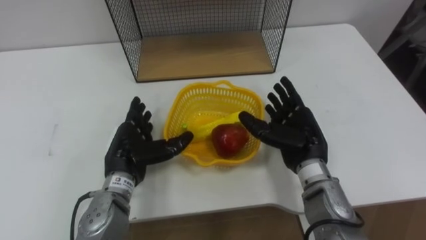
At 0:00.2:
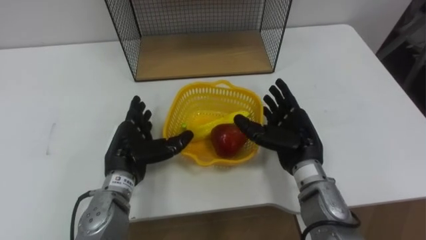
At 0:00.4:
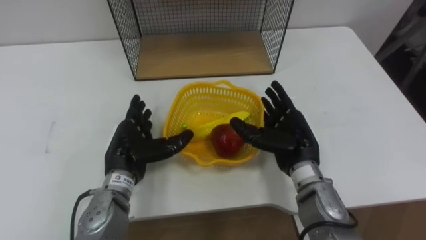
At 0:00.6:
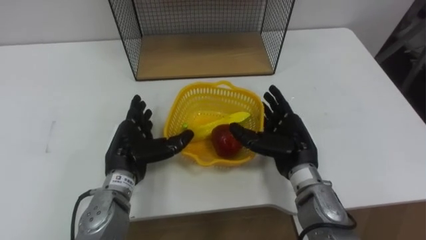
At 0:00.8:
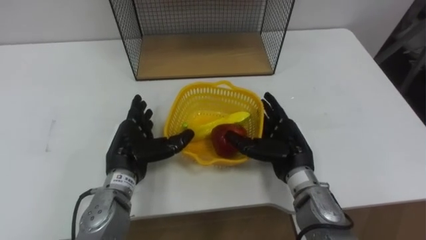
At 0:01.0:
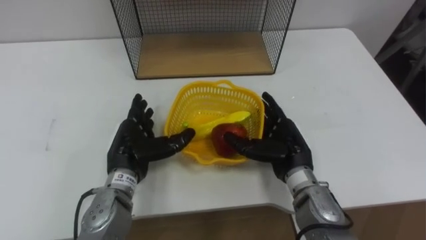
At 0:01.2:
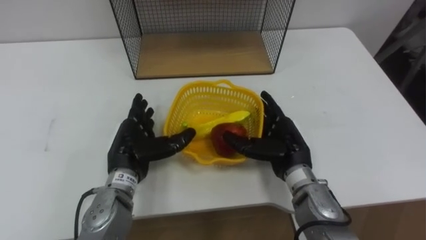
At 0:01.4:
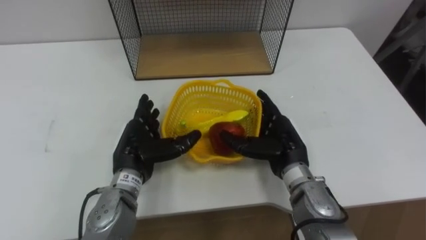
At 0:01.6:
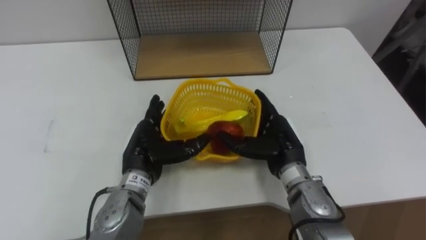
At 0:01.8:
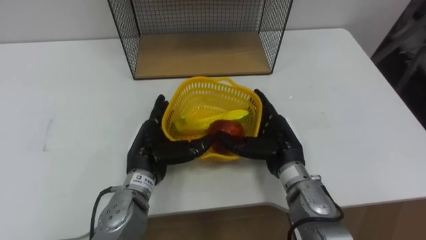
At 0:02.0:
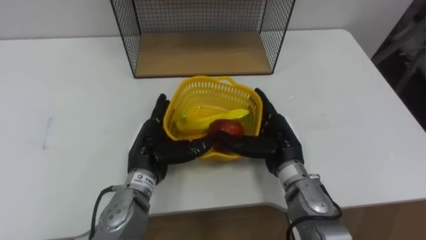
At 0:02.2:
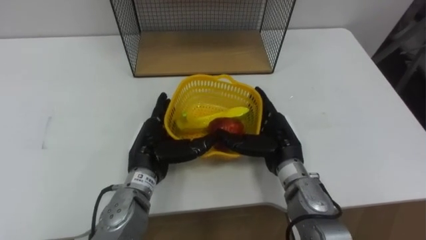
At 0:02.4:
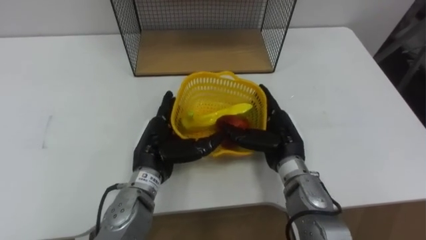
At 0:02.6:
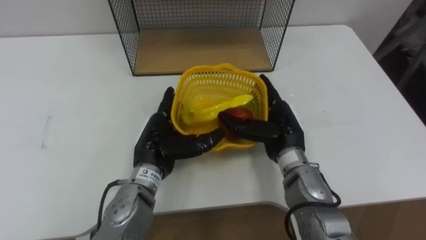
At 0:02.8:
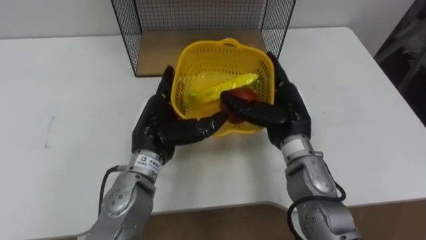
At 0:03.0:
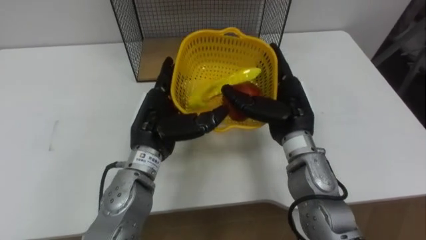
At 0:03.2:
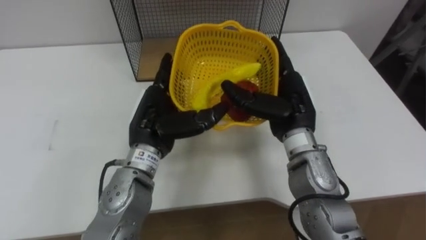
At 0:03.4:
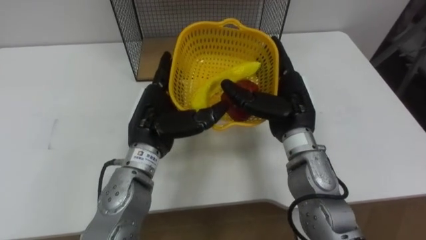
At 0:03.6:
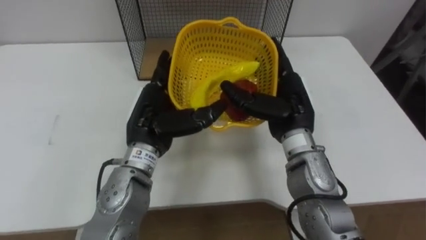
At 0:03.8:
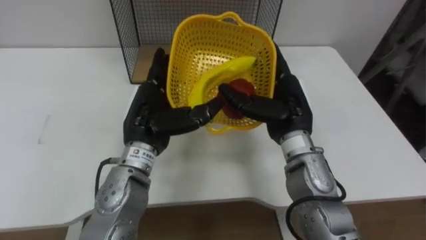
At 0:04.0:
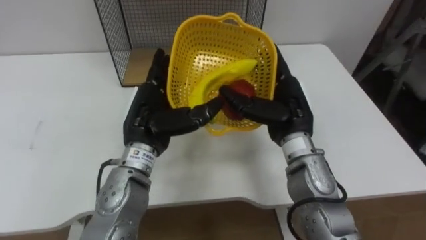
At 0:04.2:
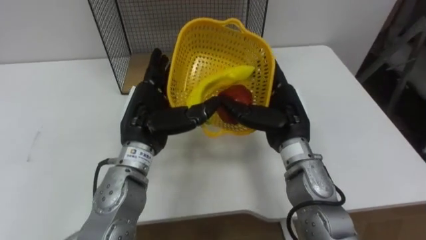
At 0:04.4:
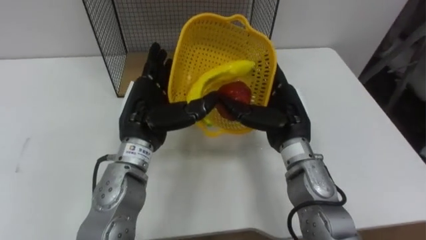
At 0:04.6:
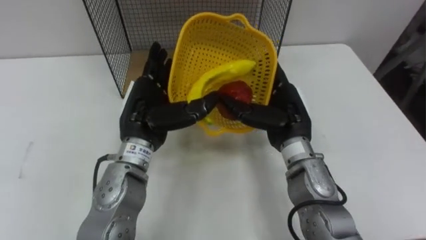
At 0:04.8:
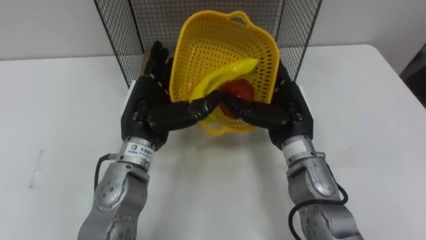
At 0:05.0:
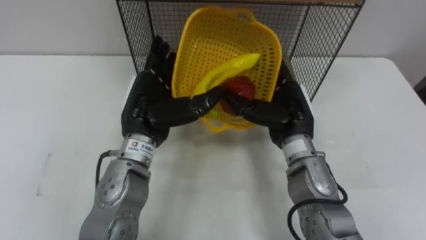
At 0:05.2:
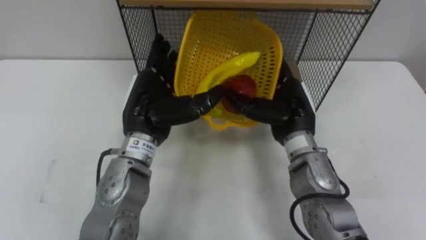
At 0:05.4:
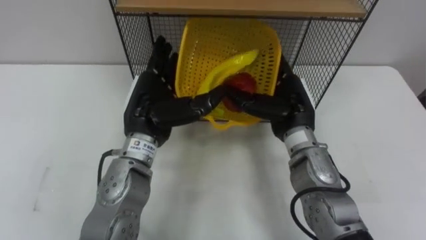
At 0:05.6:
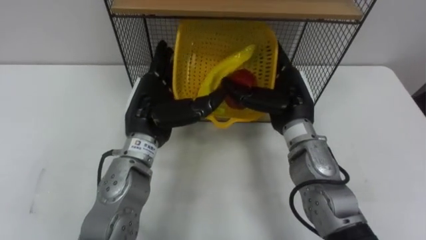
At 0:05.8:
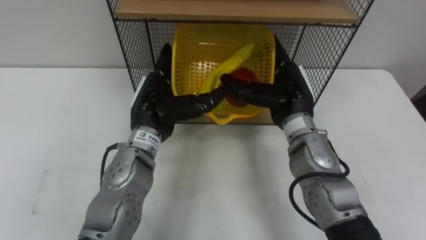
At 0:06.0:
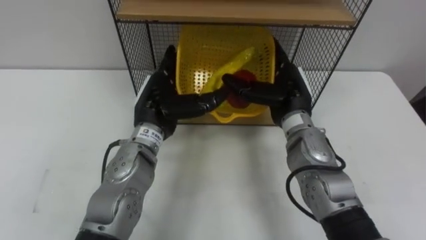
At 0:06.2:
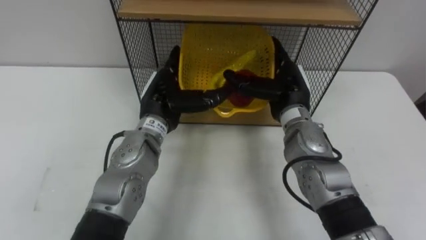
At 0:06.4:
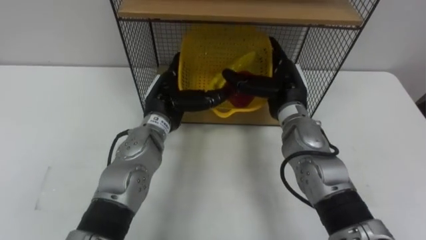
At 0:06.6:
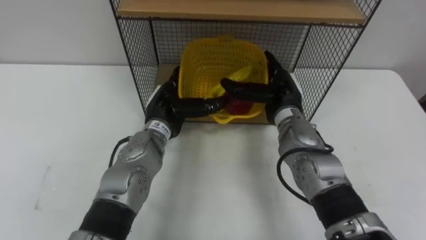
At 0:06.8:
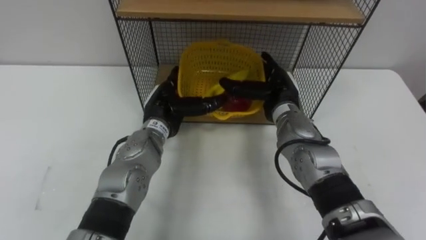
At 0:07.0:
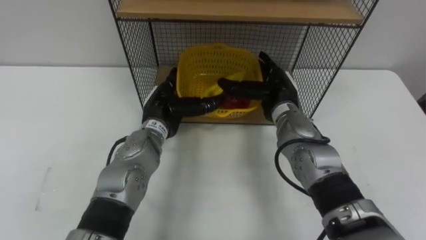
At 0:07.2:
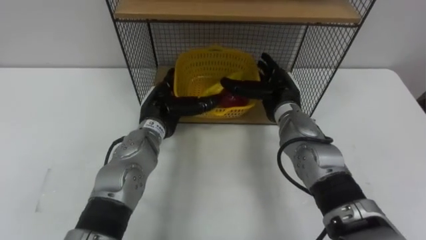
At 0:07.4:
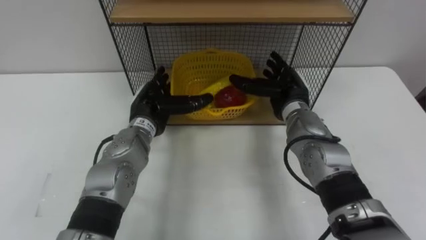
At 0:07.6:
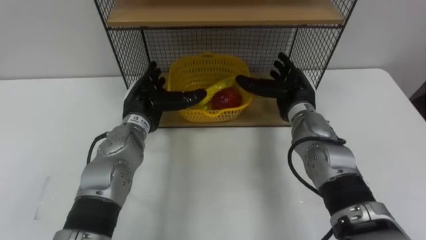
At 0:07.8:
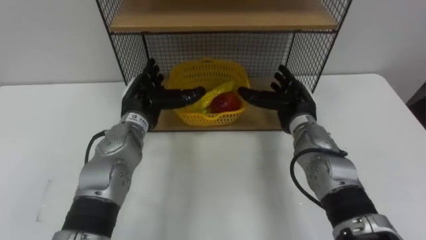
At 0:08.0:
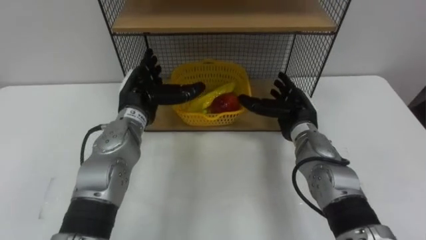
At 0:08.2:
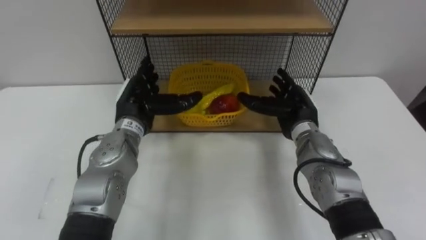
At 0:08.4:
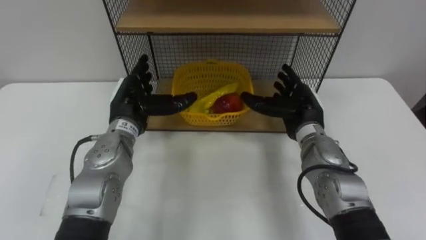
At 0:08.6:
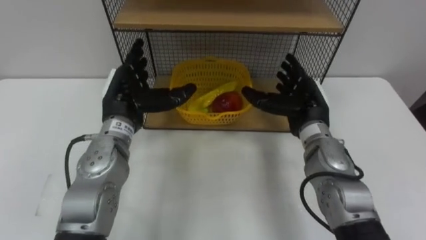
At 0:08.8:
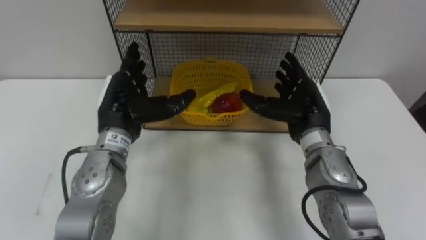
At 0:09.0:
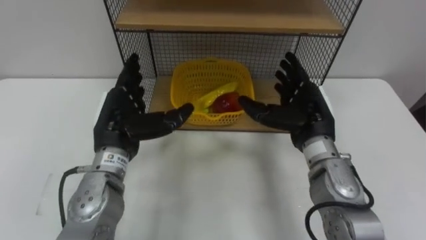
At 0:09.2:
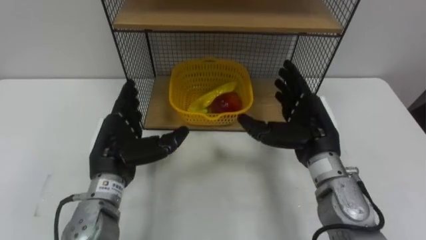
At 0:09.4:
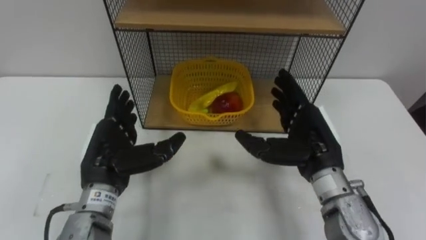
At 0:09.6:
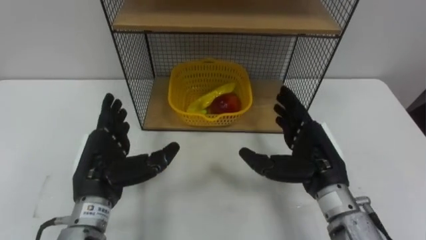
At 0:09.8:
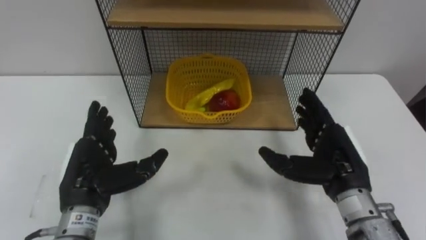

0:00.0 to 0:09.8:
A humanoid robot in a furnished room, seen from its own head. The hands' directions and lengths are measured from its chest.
Task of the whole recording: Put the fruit on the table into the basket, then place the basket on the shelf.
0:00.0 to 0:01.4: The hands make only small movements.
0:01.4 to 0:02.8: Both hands travel together upward, about 5 cm.
0:05.6 to 0:07.0: The left hand goes roughly 10 cm downward and forward; the right hand goes about 5 cm forward.
0:07.0 to 0:08.4: The right hand goes roughly 5 cm to the right, while the left hand is displaced to the left by some 5 cm.
0:08.4 to 0:09.8: Both hands move backward, some 15 cm.

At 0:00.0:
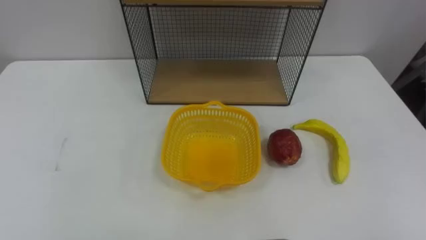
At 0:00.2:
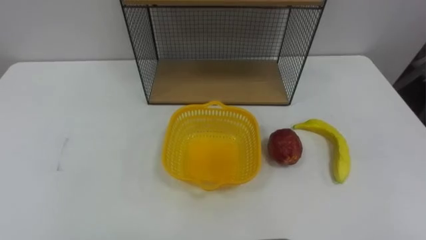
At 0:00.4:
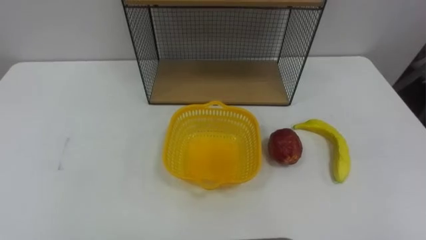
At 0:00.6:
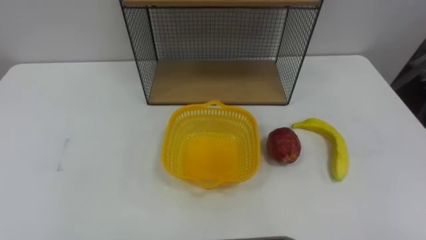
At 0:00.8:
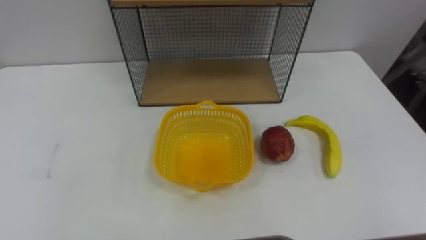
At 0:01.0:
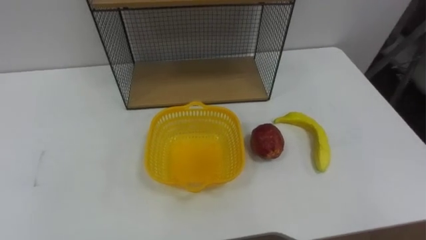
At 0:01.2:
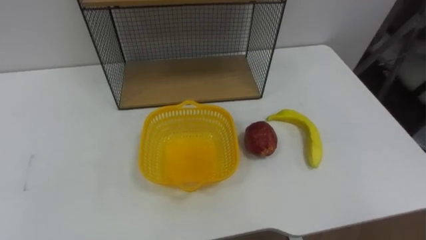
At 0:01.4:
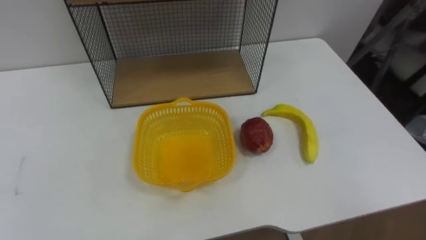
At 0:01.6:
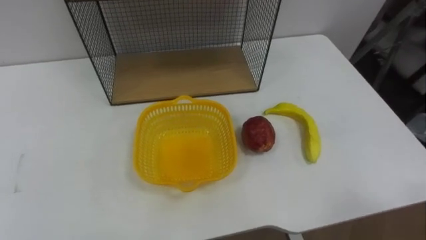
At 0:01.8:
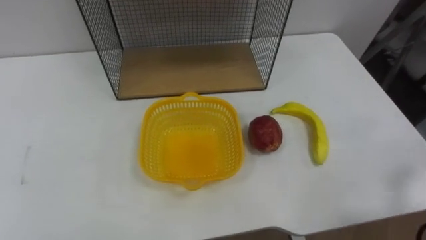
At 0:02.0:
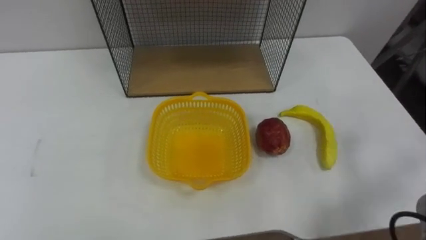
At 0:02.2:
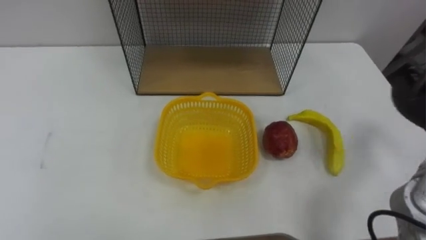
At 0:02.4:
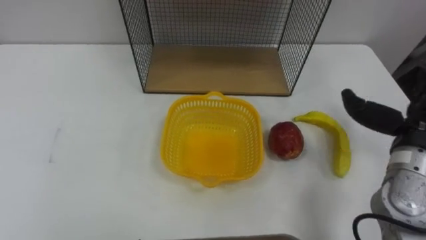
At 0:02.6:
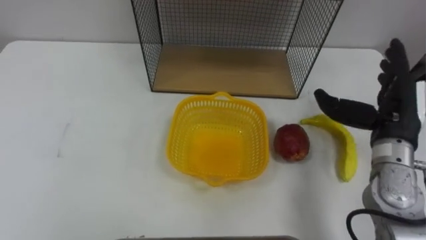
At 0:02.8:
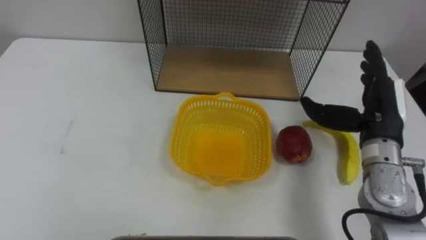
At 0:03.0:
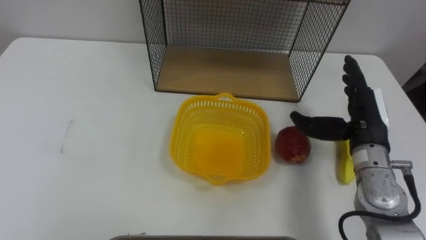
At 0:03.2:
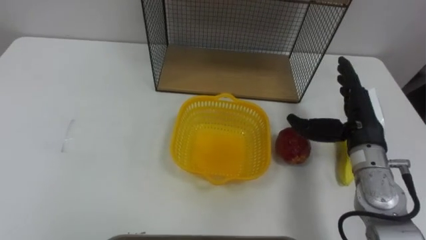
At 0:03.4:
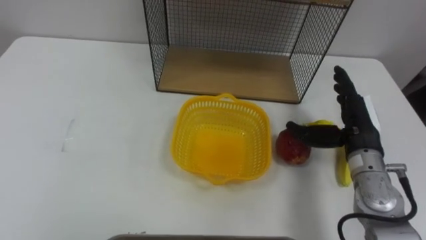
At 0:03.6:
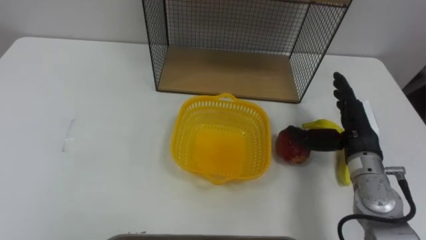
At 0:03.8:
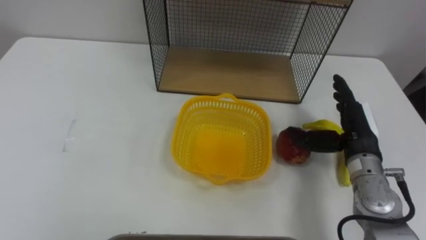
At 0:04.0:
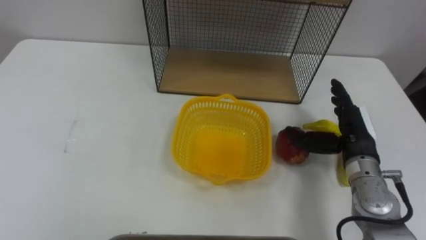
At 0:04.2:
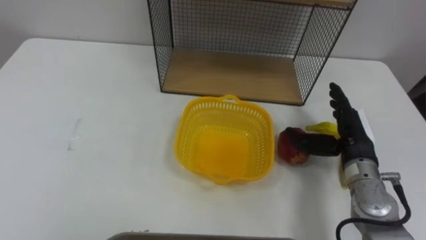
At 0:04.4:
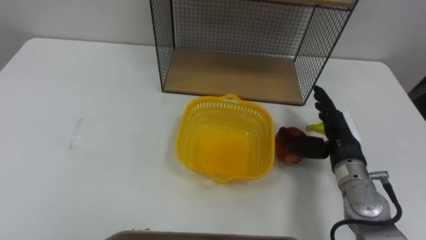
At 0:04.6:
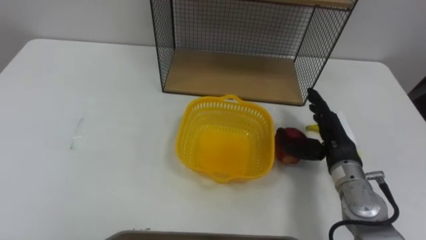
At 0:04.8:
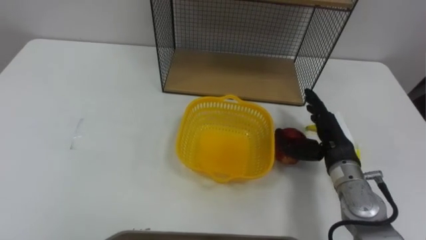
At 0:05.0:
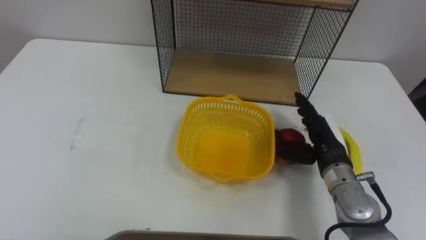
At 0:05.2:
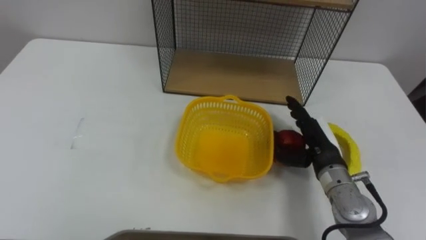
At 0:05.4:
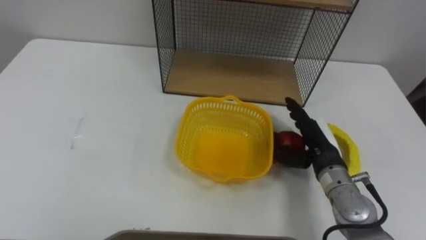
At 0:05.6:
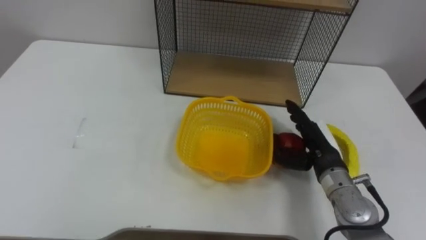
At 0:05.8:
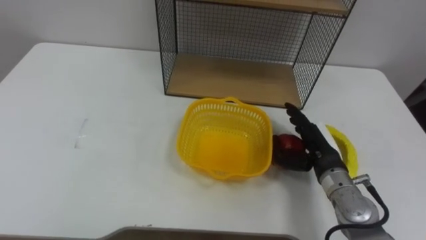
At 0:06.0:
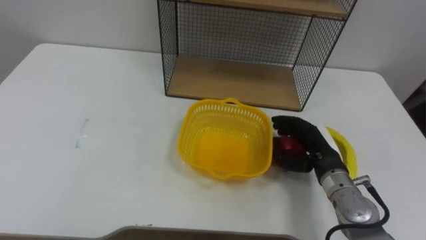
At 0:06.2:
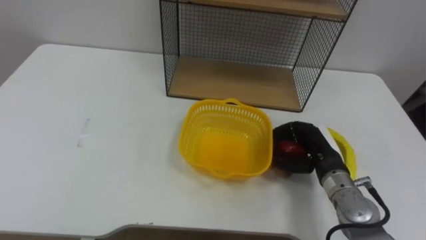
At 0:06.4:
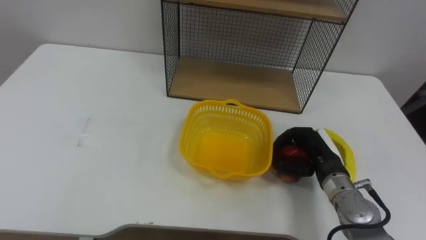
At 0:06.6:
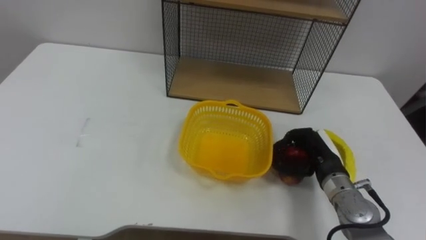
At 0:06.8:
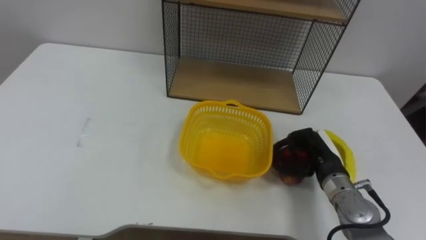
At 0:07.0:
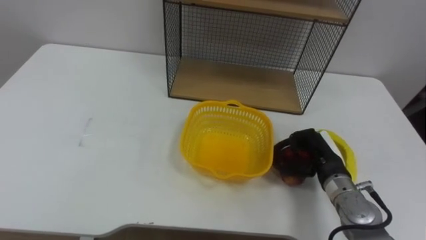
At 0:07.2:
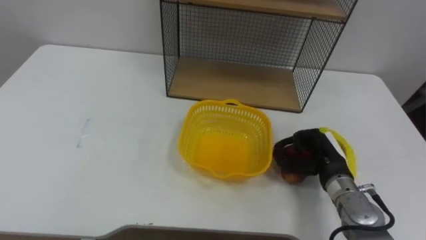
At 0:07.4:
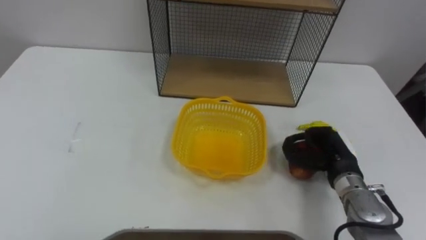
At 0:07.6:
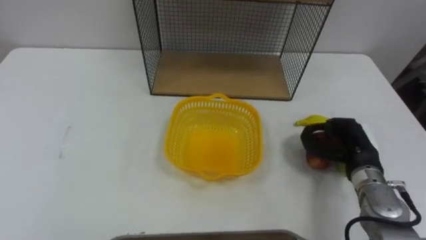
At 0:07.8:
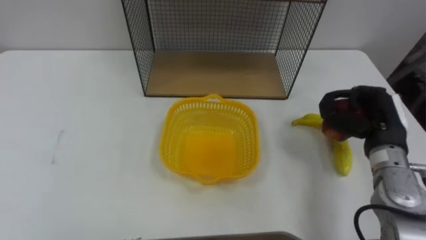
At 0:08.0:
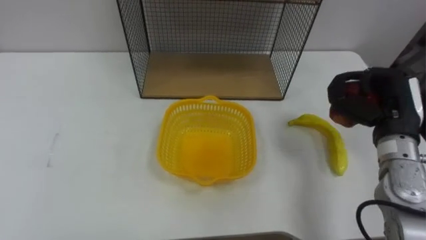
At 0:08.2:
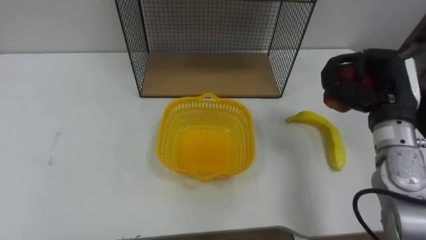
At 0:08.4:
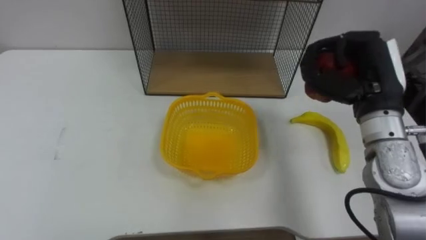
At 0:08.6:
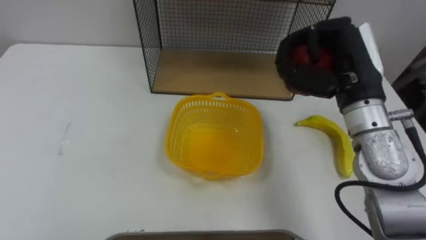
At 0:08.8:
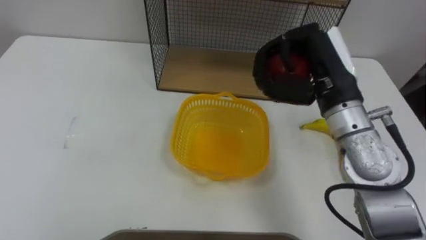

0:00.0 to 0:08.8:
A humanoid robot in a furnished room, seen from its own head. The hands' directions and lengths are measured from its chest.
Task of the whole recording: Put the fruit on the table into the basket, then place the basket on the shelf.
0:03.0 to 0:04.4: The right hand travels downward by approximately 5 cm.
0:05.8 to 0:07.4: The right hand closes up.
0:07.4 to 0:08.8: The right hand travels upward by approximately 20 cm.
